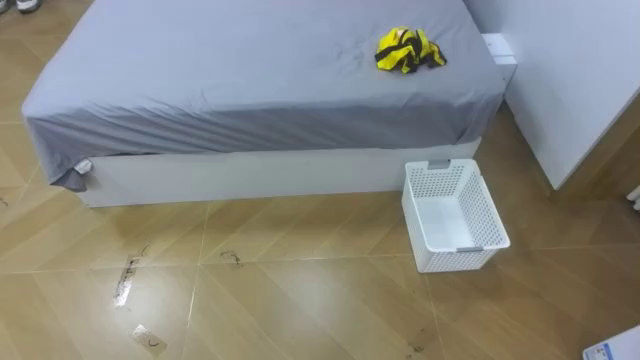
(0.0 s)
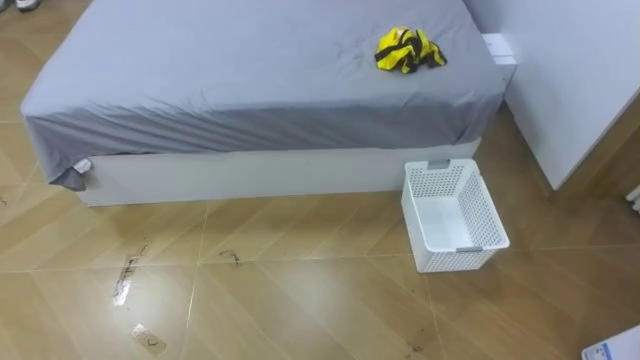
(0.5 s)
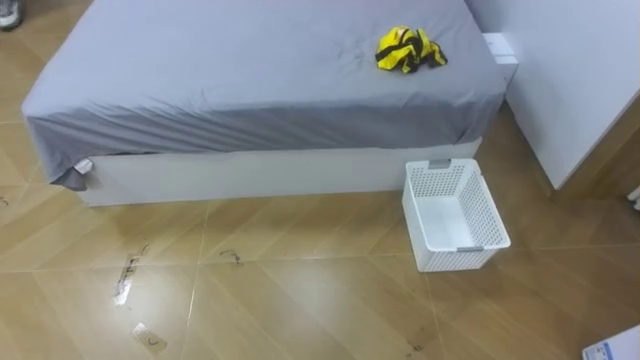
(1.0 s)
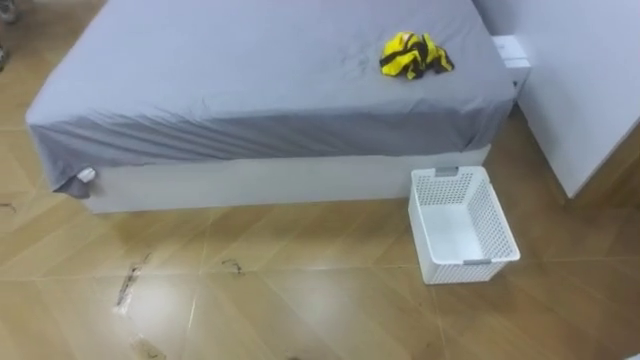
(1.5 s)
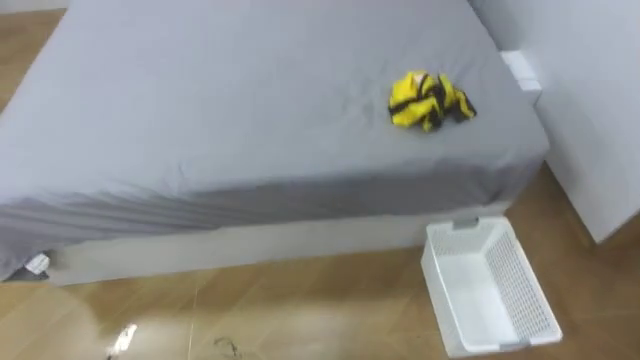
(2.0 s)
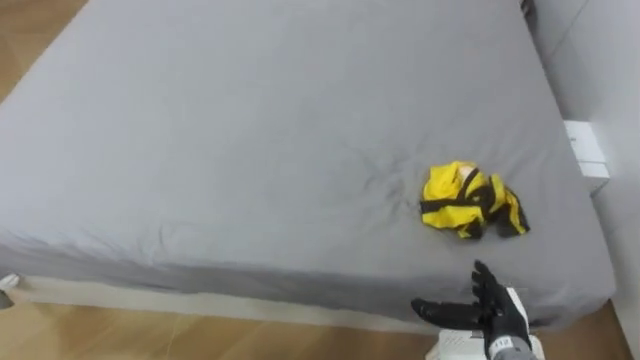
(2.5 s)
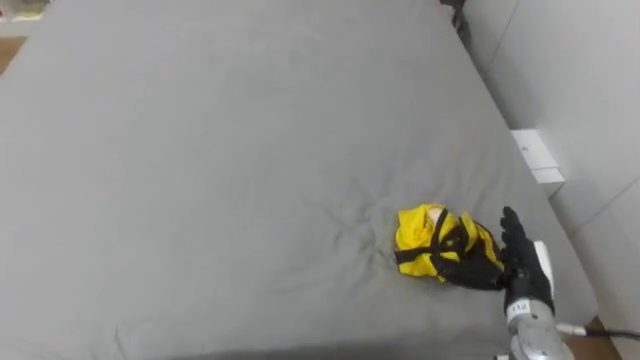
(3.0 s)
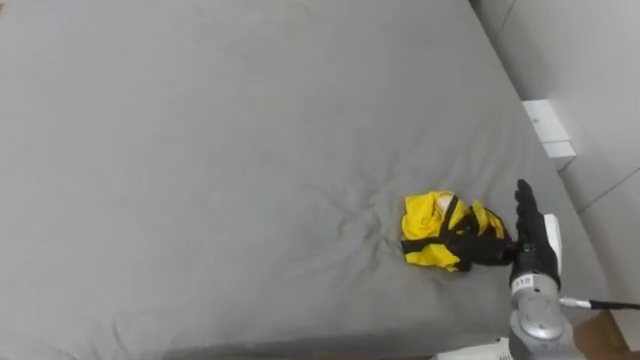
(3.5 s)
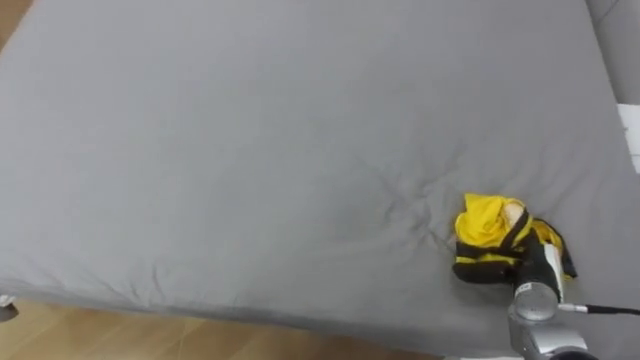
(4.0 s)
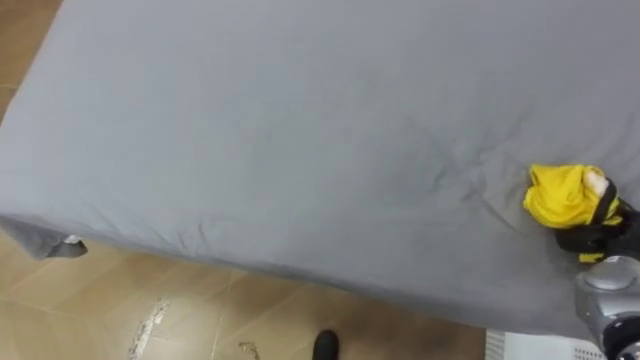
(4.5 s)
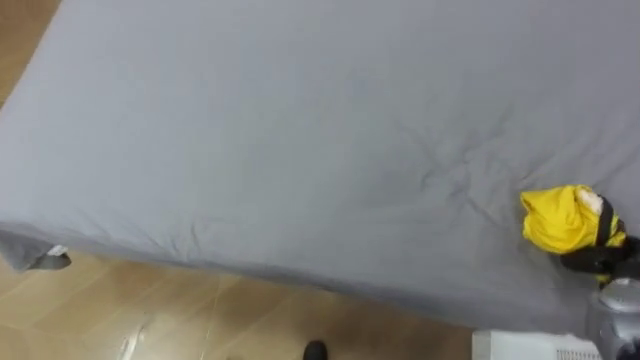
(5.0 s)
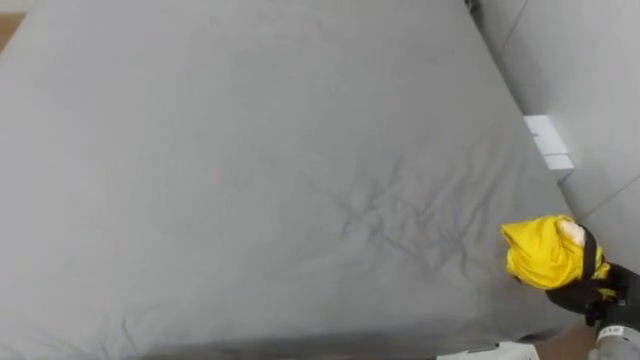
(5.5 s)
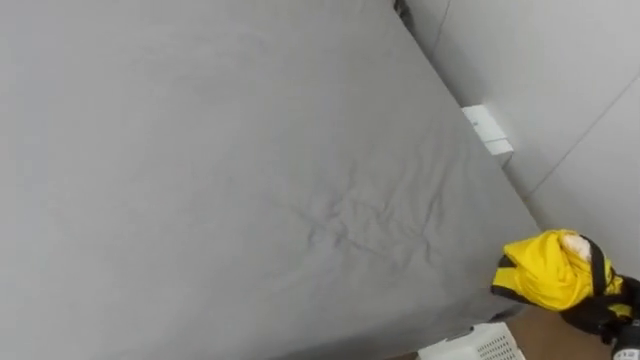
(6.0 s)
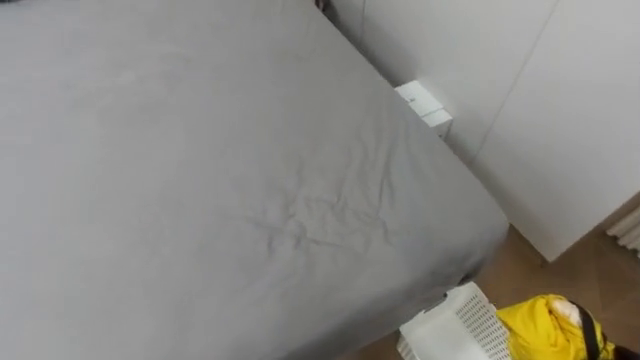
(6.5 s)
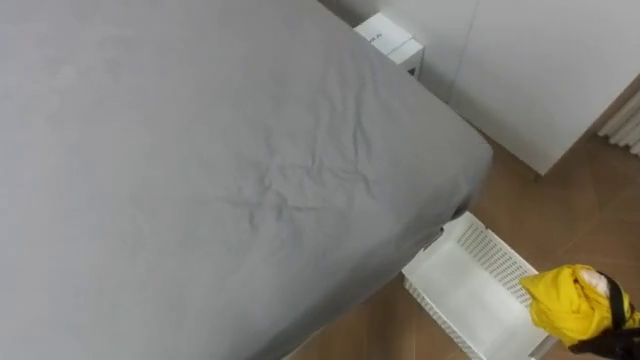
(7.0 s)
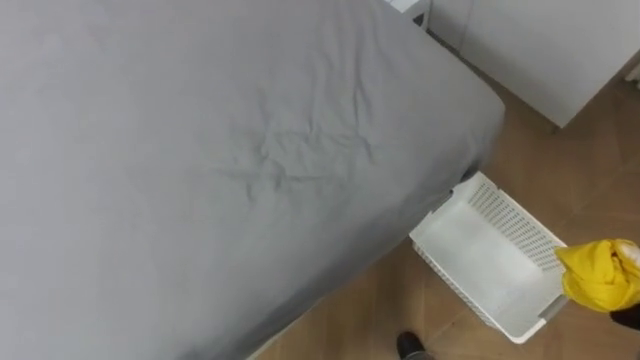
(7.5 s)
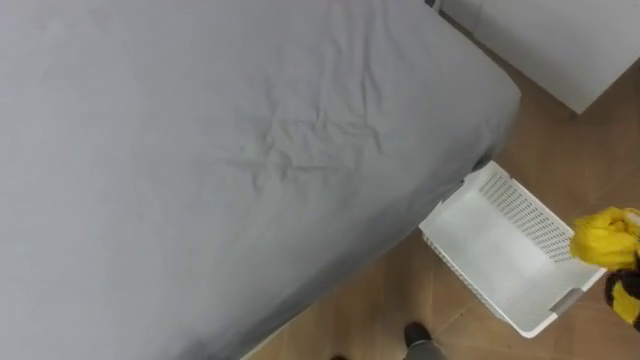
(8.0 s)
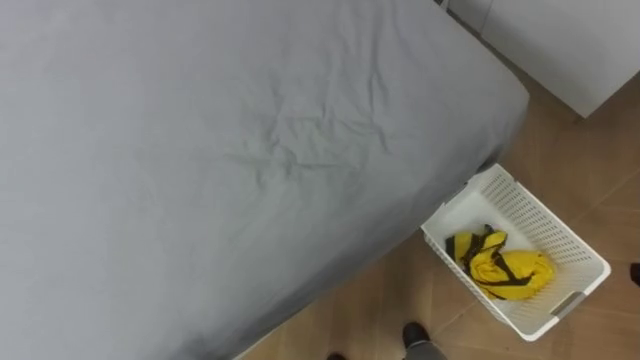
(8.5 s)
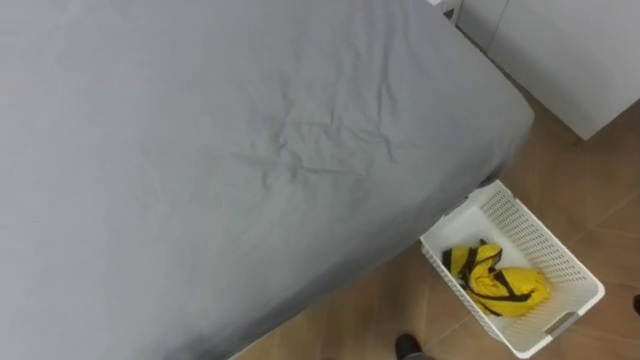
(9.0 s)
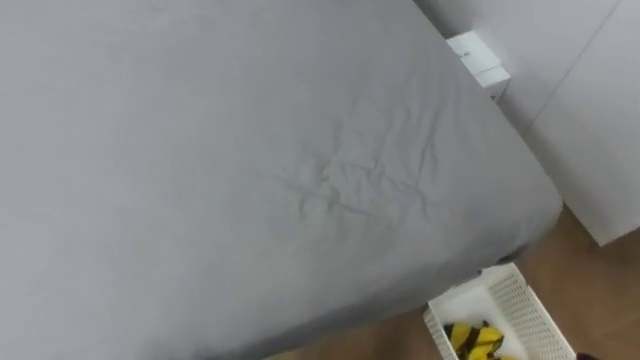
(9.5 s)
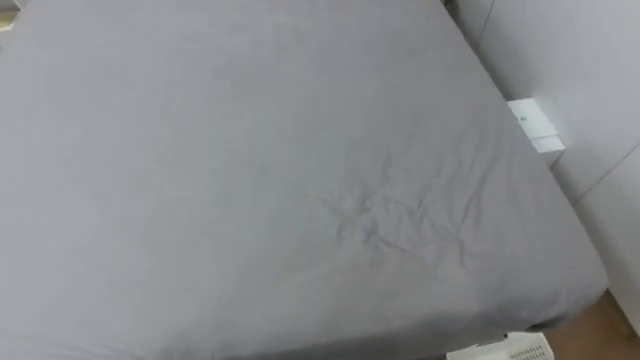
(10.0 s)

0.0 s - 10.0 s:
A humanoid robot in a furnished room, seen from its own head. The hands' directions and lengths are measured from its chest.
Task of the whole recording: Pick up the yellow clothes on the bed and place them into the white basket on the right.
4.0 s - 6.0 s: The right hand heads to the right and backward, covering about 15 cm, and closes its fingers.
8.0 s - 10.0 s: The robot rotates roughly 20 degrees to its left.

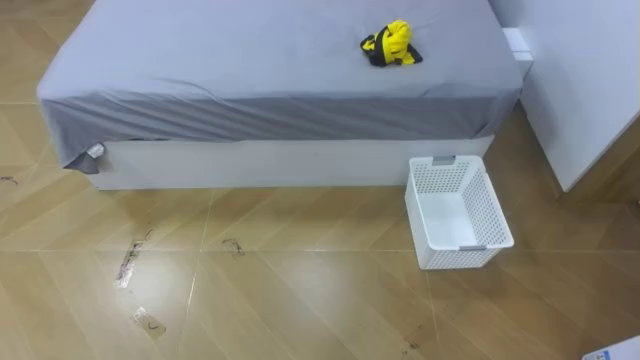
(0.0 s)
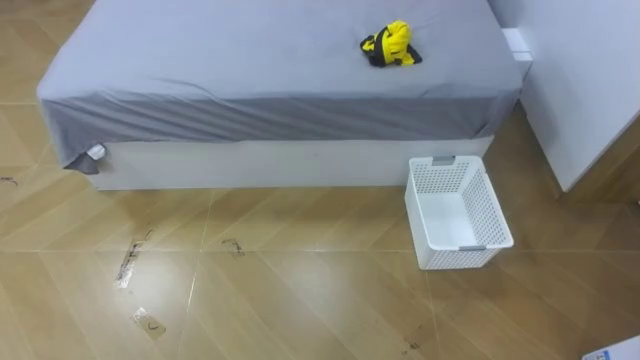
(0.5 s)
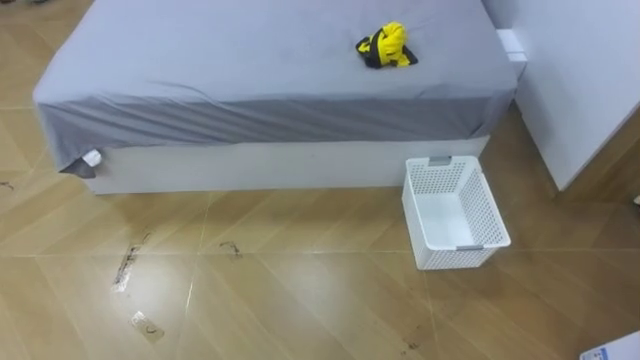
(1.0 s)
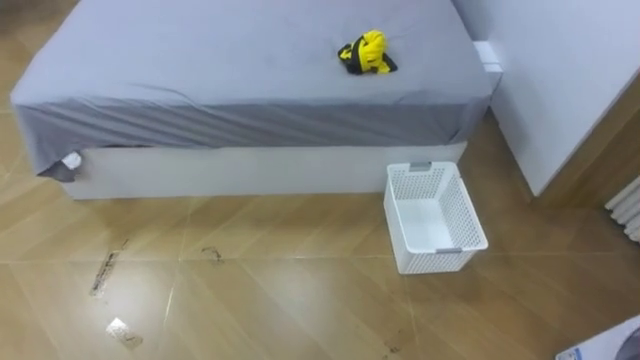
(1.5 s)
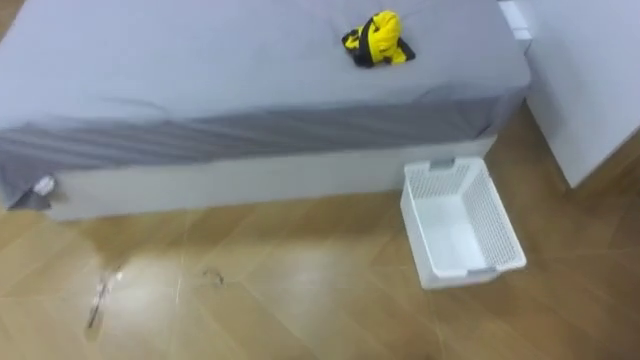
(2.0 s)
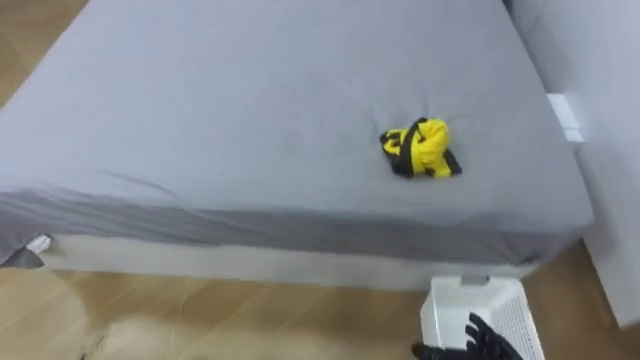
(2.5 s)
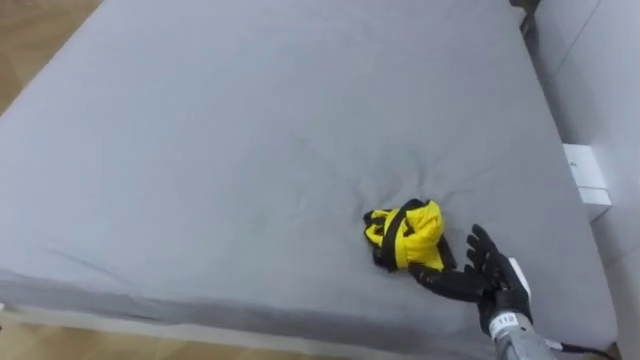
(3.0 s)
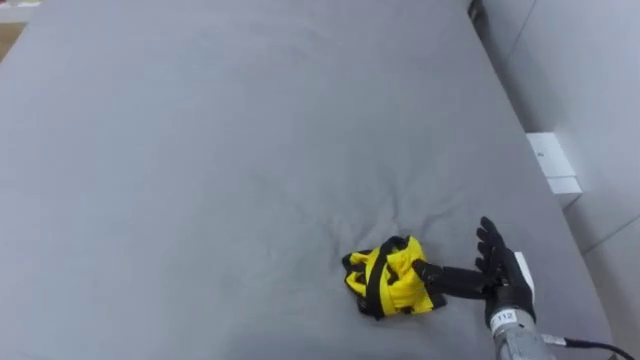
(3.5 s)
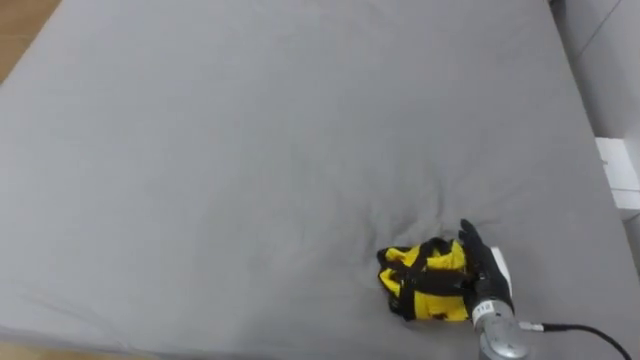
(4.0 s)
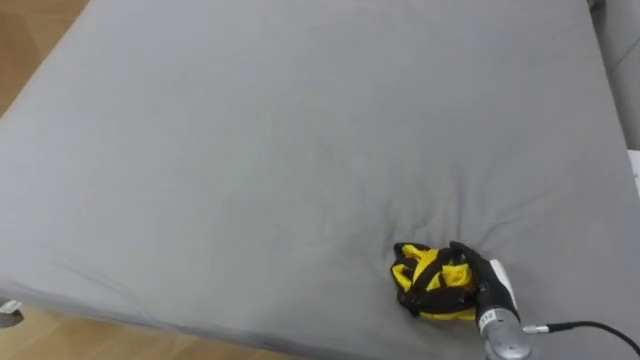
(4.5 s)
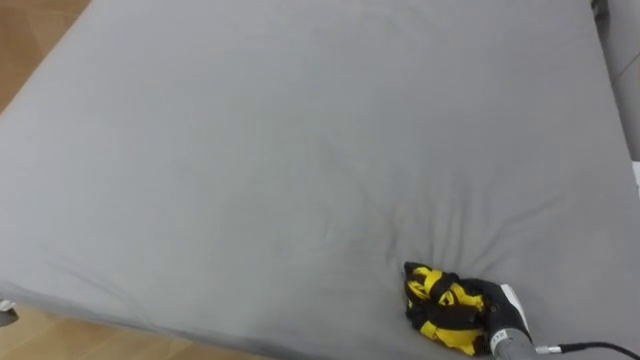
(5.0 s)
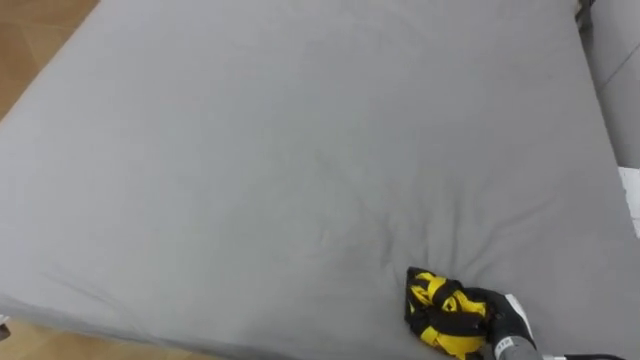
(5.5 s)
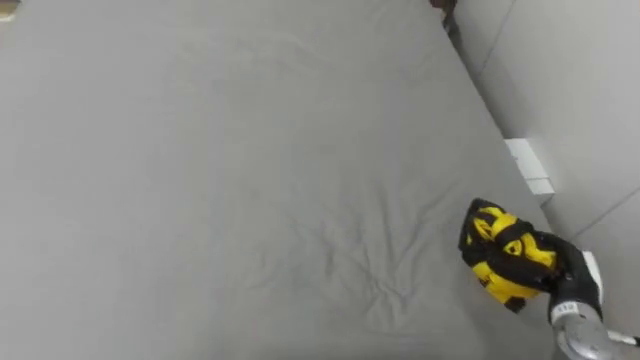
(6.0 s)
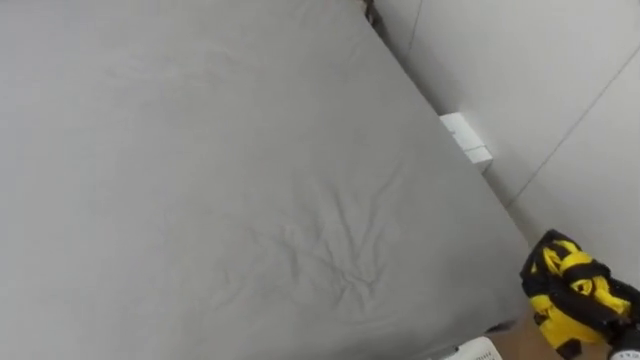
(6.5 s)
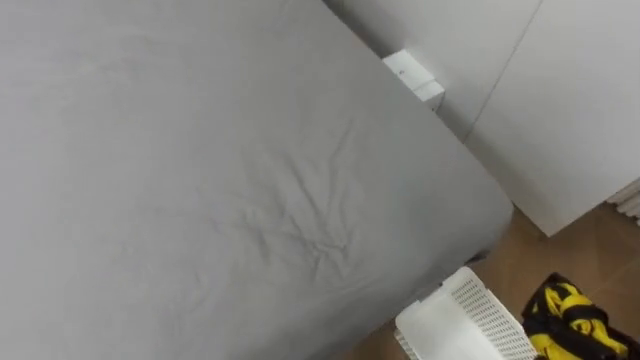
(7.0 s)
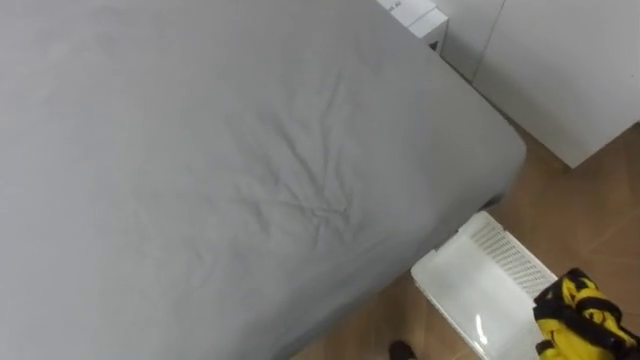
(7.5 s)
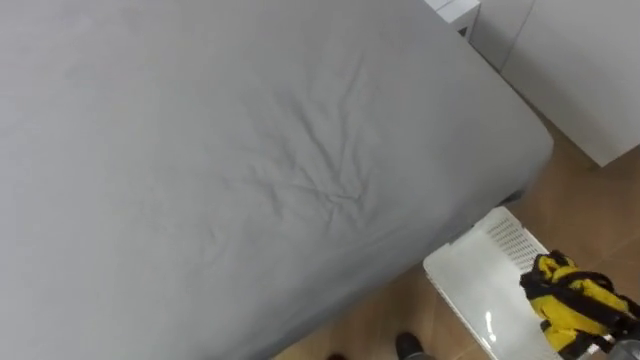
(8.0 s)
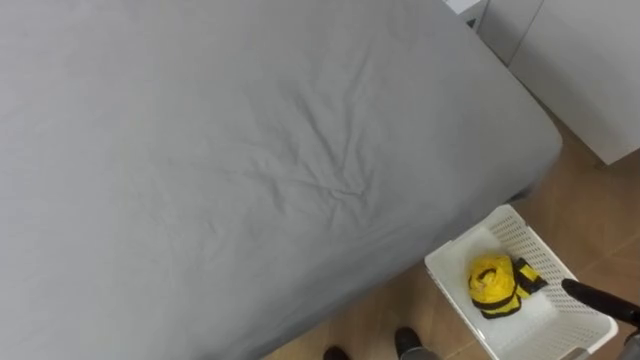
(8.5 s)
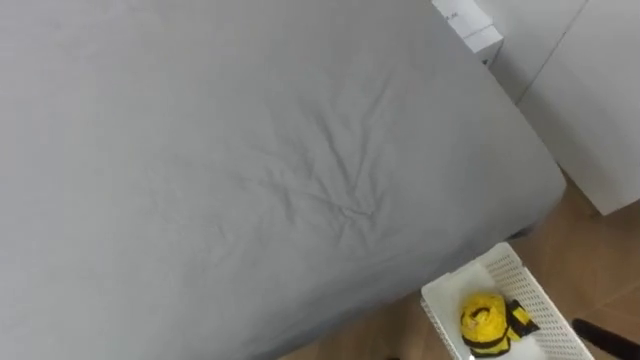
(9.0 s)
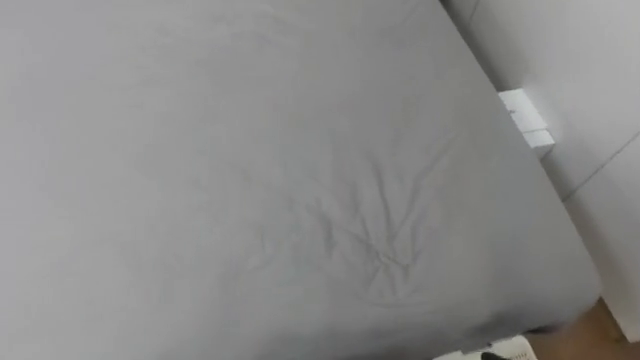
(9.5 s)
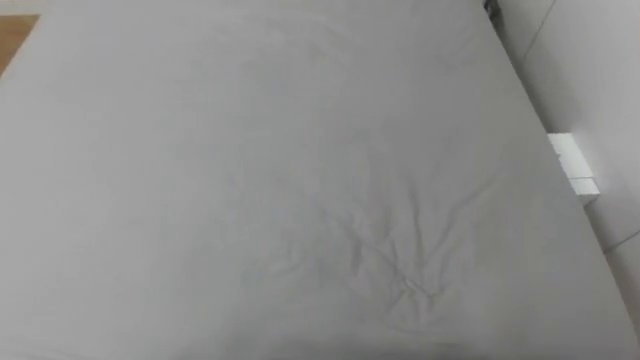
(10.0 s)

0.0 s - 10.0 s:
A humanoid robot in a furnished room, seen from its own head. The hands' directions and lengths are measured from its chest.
Task of the whole recording: Pick up the yellow clothes on the bed and place them into the white basket on the right.
4.0 s - 6.0 s: The right hand is displaced to the right by roughly 10 cm, and closes.
6.0 s - 8.0 s: The robot's body swings approximately 15 degrees to its right.
8.0 s - 10.0 s: The robot's body swings approximately 20 degrees to its left.
